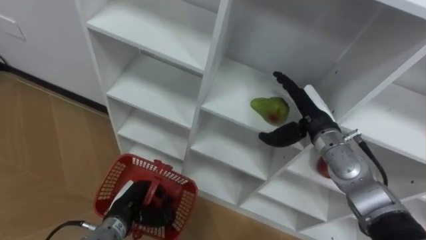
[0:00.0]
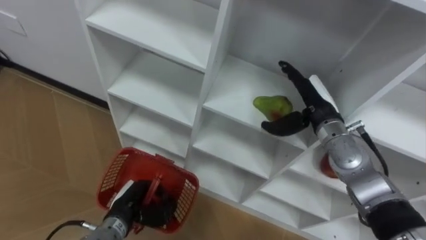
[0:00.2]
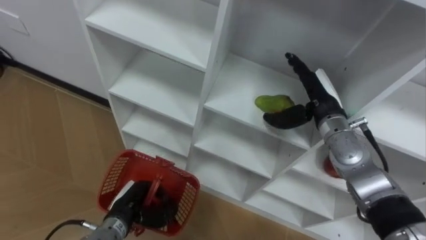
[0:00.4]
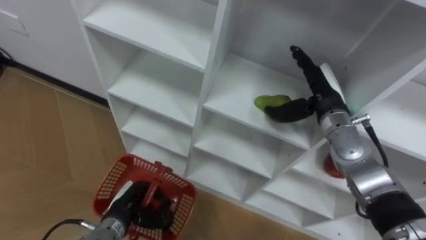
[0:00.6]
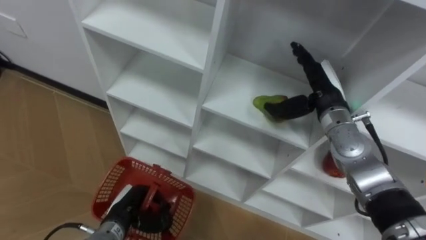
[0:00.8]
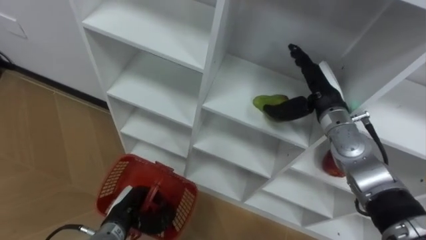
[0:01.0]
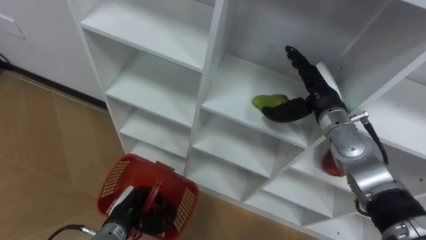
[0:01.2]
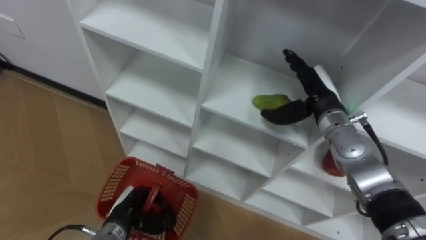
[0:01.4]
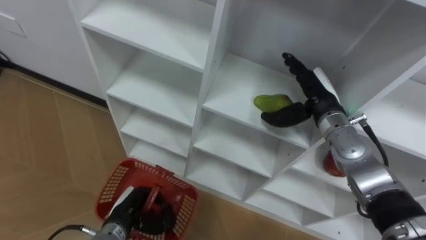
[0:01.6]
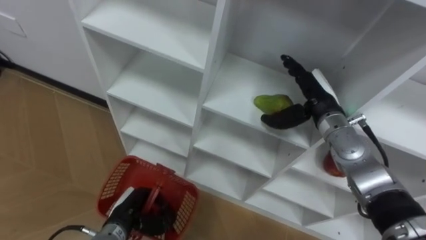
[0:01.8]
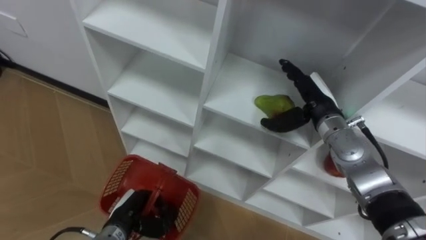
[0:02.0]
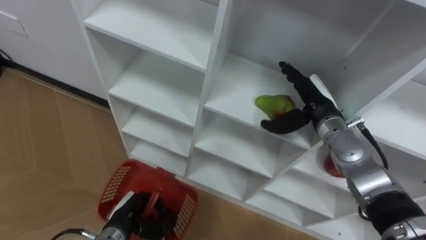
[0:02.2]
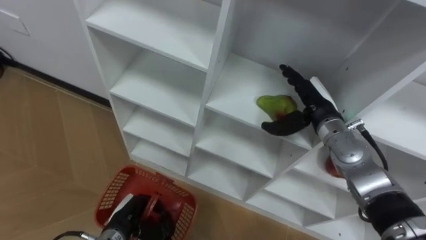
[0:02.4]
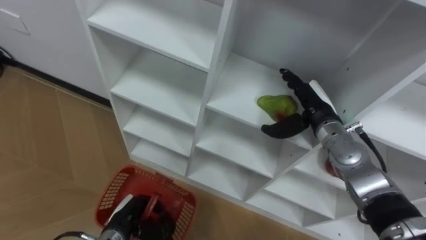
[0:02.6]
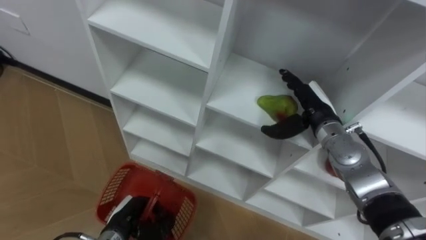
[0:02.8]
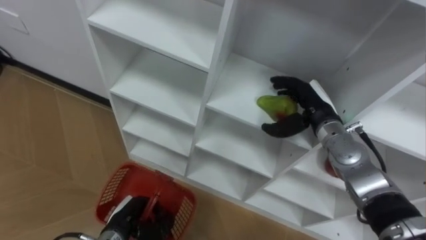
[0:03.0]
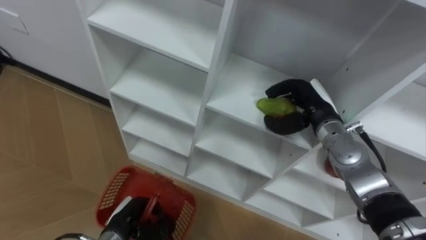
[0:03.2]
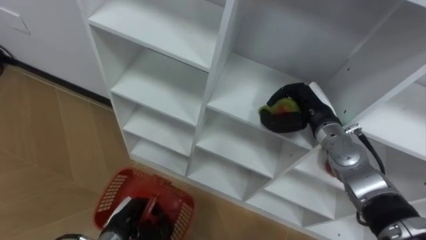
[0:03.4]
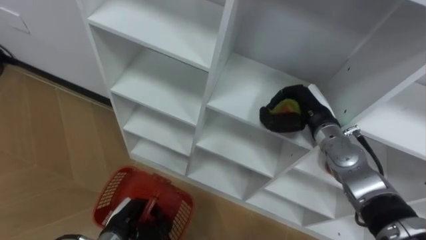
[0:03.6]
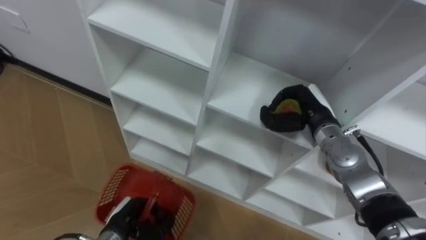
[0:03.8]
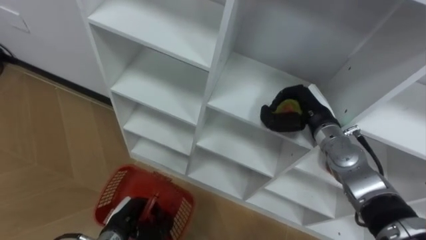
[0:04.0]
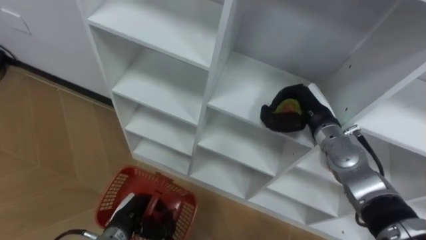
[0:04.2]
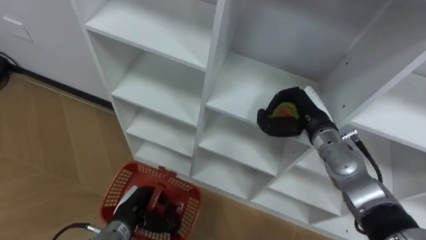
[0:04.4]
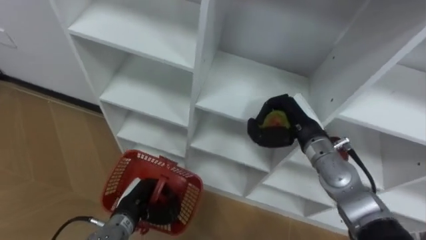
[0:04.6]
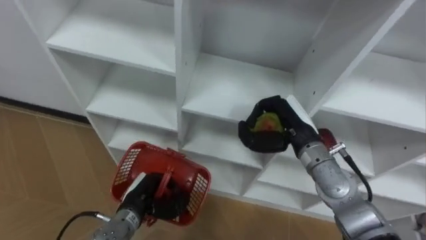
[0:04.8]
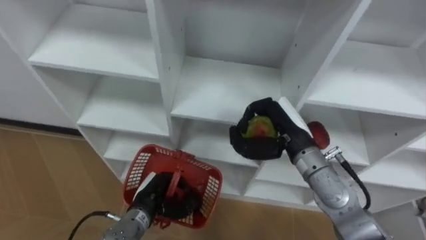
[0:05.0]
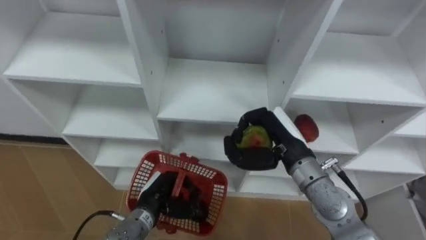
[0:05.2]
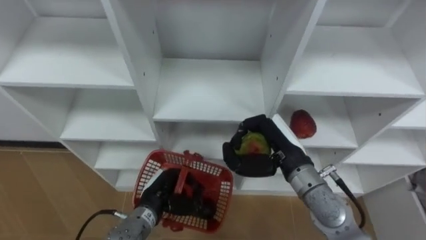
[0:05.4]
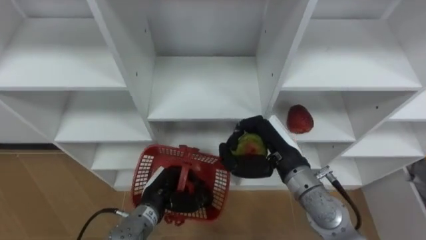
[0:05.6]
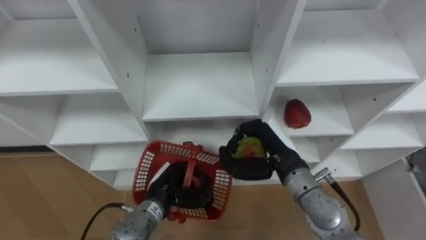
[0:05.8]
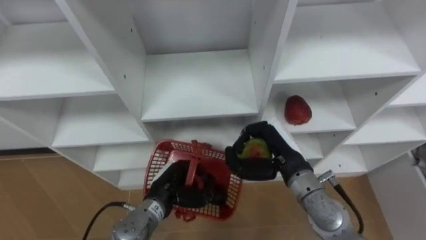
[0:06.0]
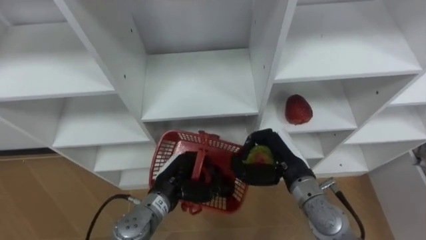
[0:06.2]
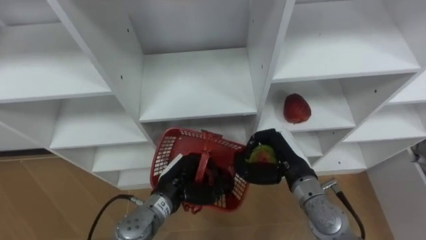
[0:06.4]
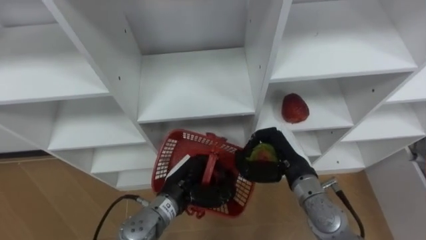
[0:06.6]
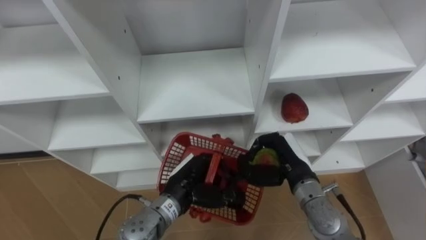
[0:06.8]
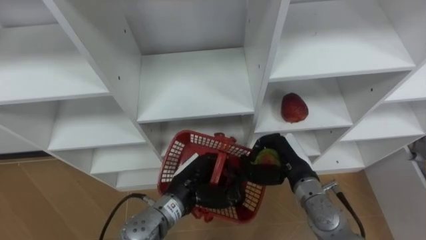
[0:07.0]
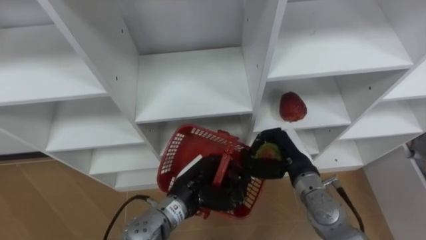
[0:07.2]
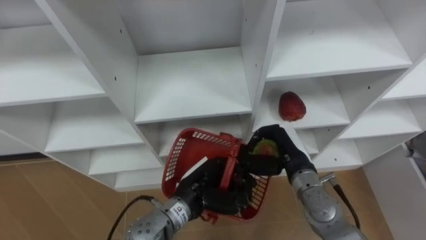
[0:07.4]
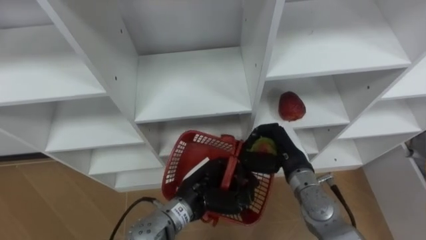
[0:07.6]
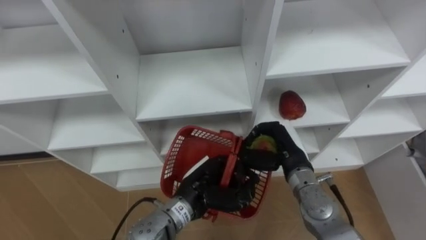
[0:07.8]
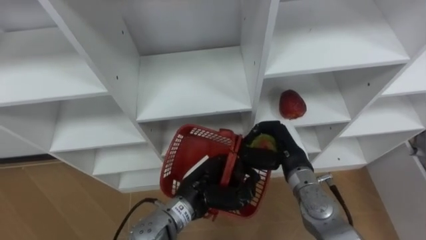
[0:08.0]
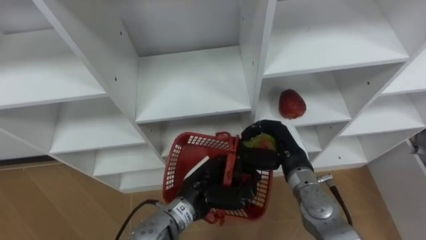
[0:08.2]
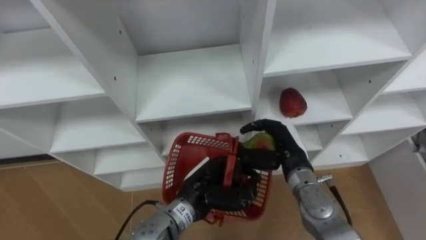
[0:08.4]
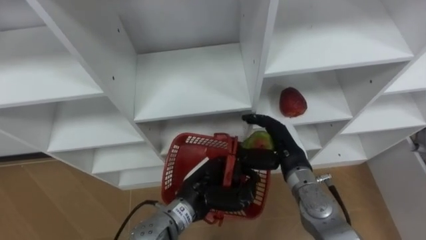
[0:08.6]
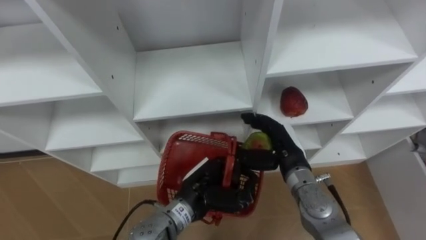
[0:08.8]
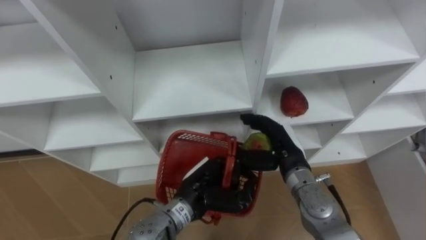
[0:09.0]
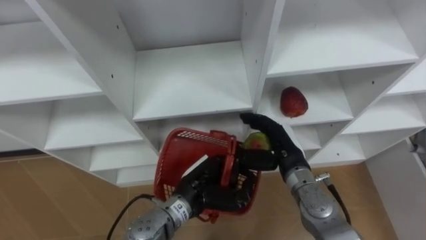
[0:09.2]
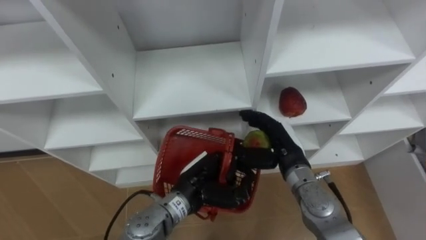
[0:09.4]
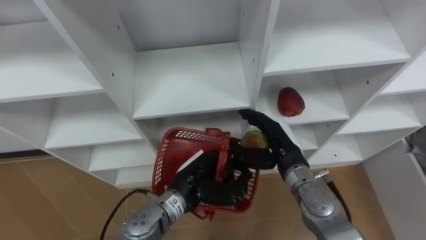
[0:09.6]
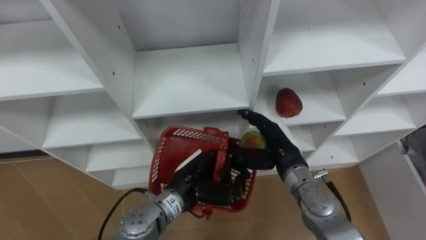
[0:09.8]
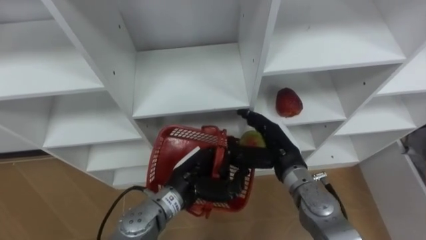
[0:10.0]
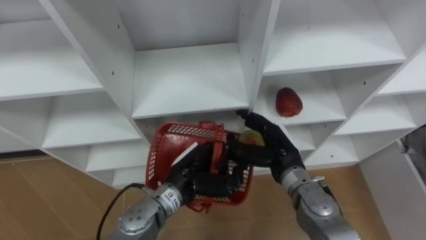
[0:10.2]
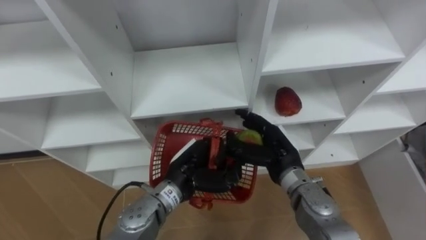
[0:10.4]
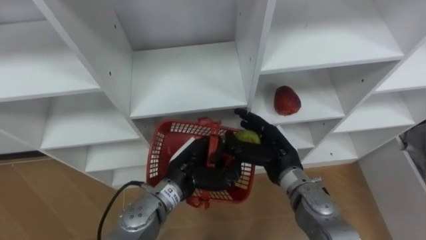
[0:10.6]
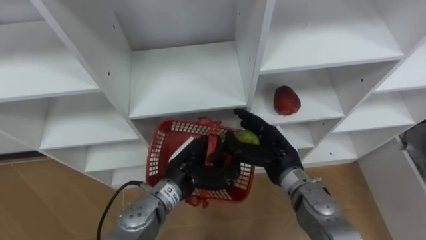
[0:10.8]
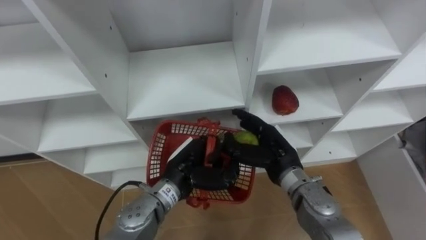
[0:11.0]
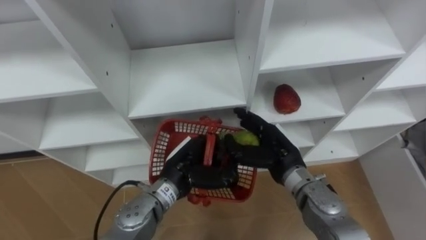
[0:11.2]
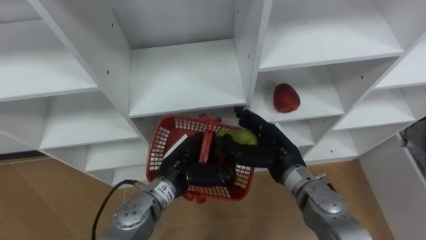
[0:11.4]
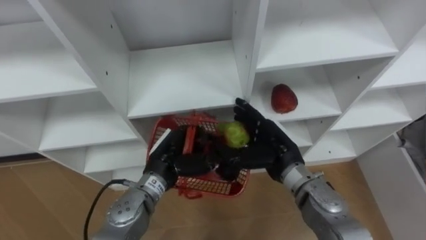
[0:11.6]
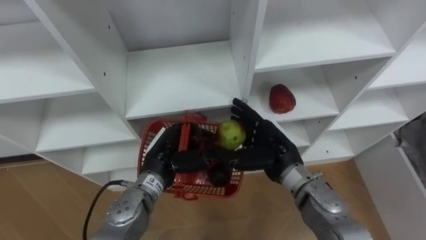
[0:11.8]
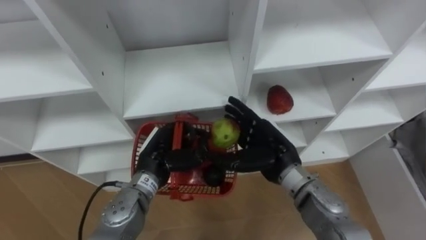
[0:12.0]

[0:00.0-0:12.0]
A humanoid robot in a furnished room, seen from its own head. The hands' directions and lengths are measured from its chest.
Task of the whole recording: Hold the basket and collect the fruits from 3 different cells of the closet into it.
0:01.6 to 0:03.0: The hands make only small movements.
0:03.0 to 0:04.4: The right hand closes up.
0:04.4 to 0:06.0: The left hand heads to the right, covering roughly 10 cm. The right hand is displaced backward and to the left by some 10 cm.
0:06.0 to 0:07.6: The left hand moves to the right, roughly 5 cm.
0:07.6 to 0:09.0: The right hand opens its fingers.
0:10.4 to 0:12.0: The left hand travels to the left by about 5 cm.

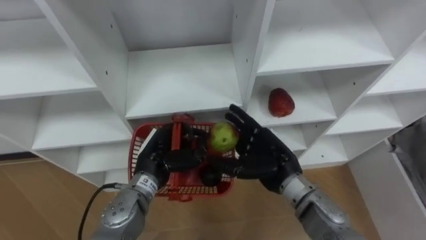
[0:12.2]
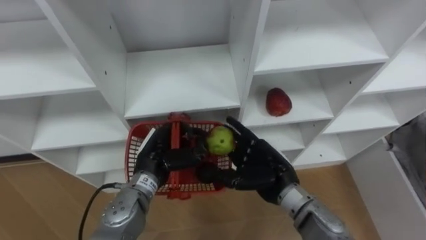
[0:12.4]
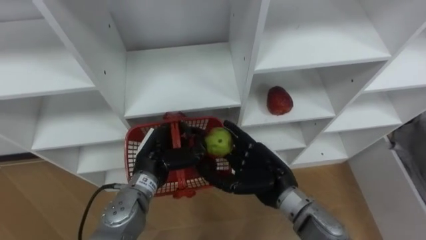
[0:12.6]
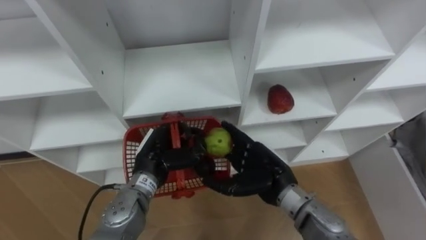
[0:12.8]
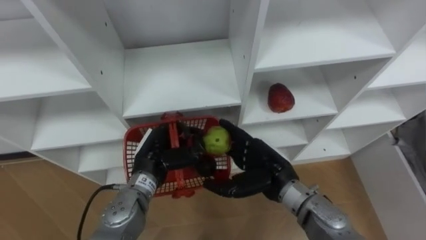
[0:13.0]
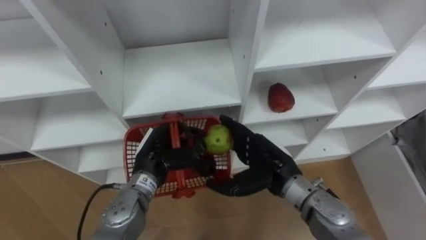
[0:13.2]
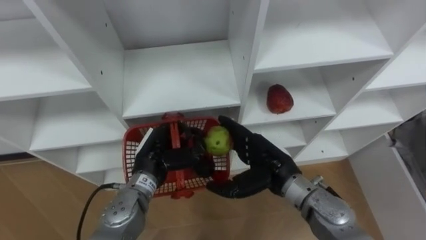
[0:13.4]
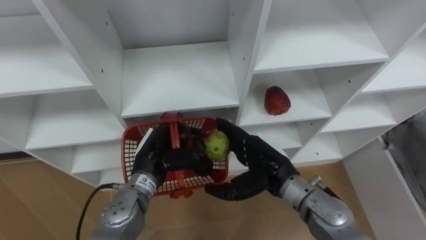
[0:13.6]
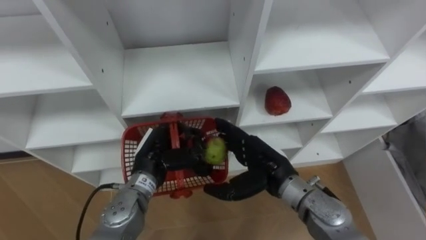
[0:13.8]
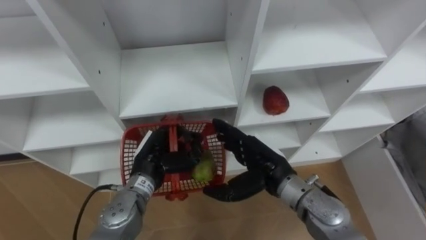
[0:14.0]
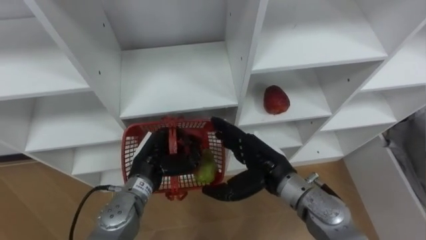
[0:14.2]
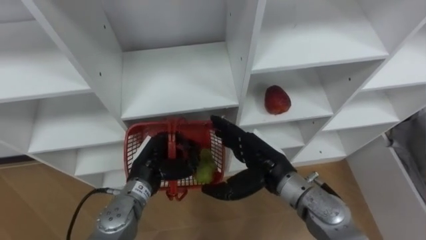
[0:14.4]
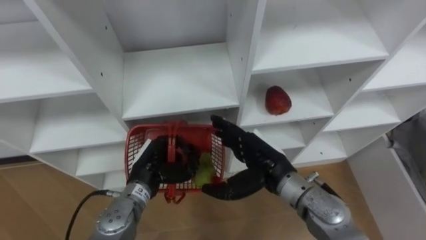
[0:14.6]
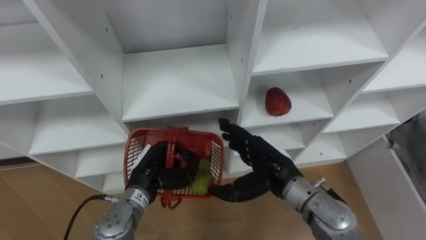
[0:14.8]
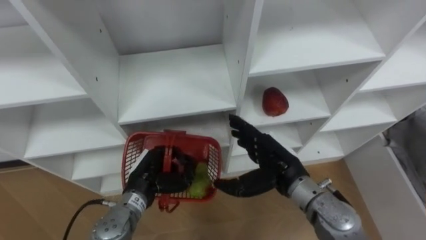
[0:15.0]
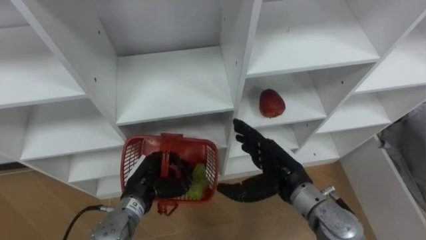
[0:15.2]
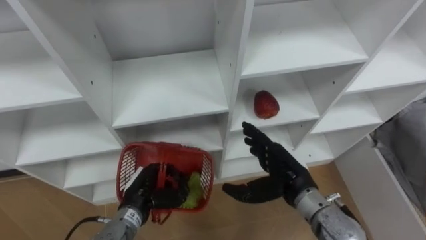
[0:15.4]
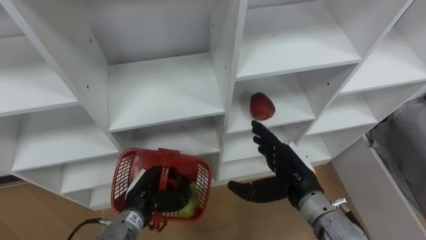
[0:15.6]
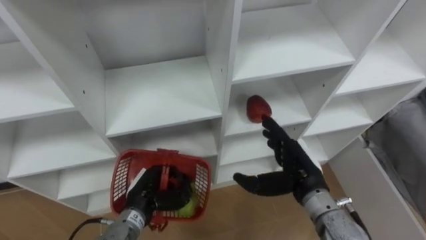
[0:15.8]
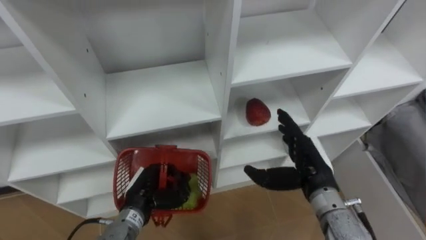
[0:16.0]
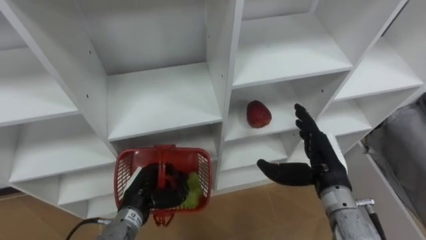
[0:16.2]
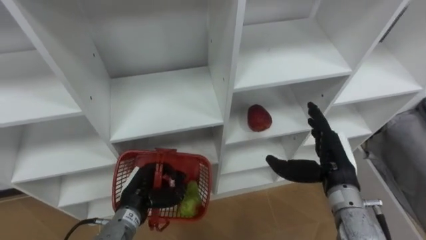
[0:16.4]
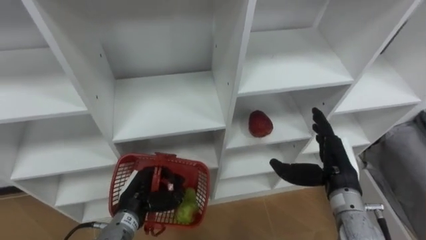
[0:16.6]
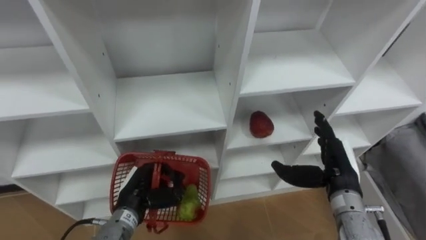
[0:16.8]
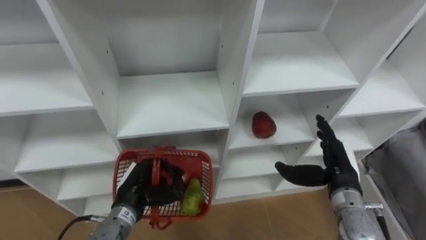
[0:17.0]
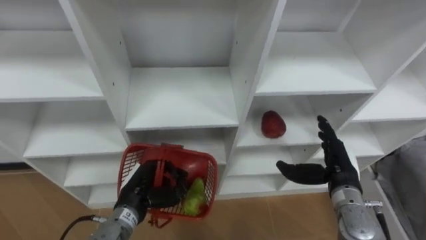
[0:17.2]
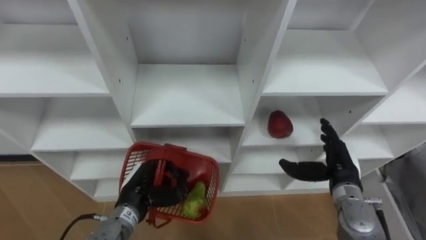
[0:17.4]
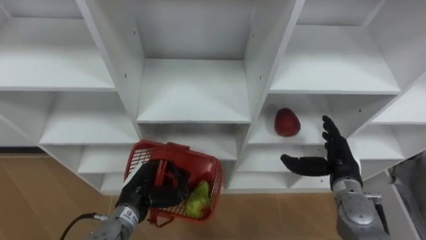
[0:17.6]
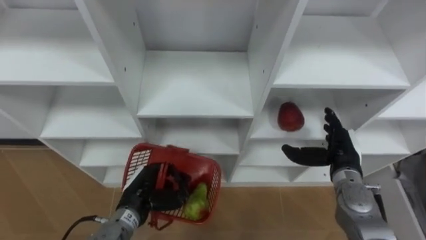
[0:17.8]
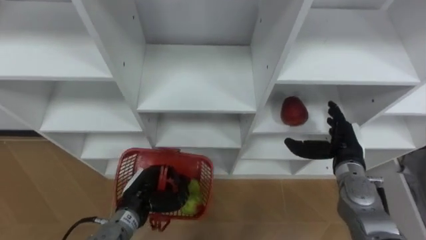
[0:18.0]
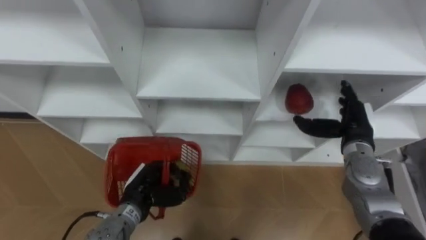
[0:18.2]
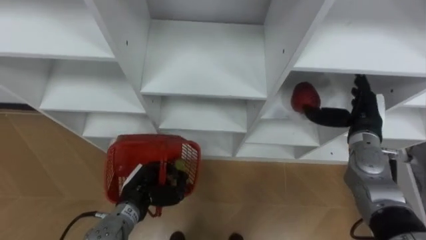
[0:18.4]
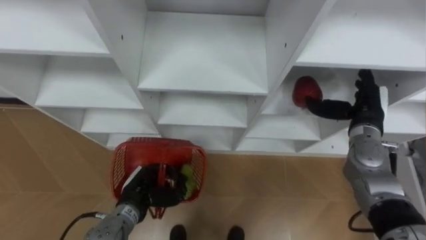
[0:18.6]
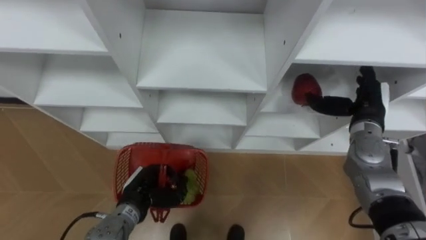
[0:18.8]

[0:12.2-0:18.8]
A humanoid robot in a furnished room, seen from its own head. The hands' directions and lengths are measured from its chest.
Task of the whole recording: Hold the basket and collect the fruits from 3 different cells of the closet into it.
0:13.8 to 0:15.4: The left hand travels downward by approximately 5 cm.
0:15.4 to 0:17.2: The right hand heads to the right, covering about 10 cm.
0:17.2 to 0:18.8: The right hand goes some 10 cm forward and upward.
